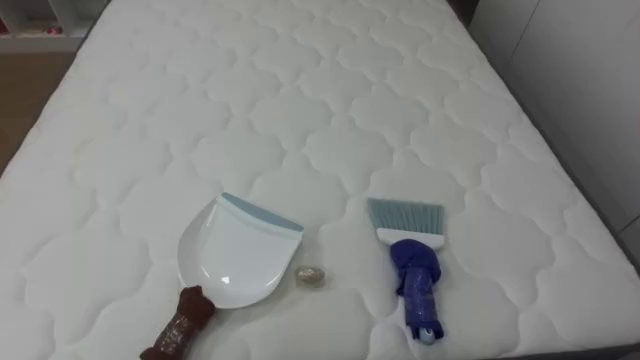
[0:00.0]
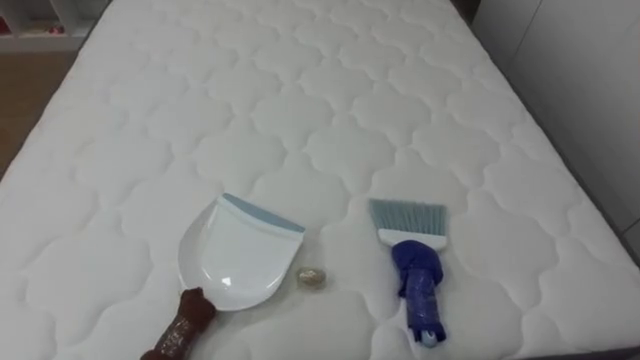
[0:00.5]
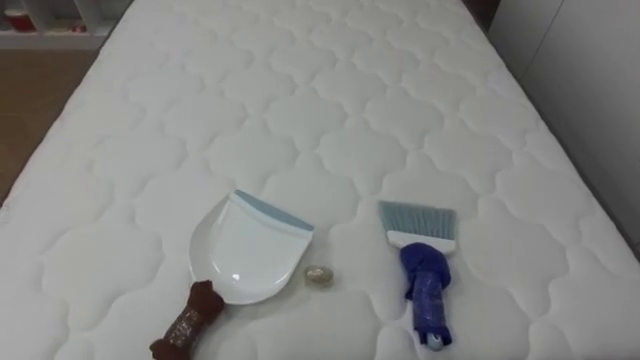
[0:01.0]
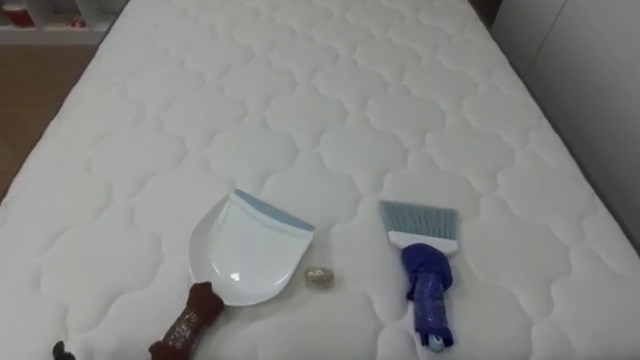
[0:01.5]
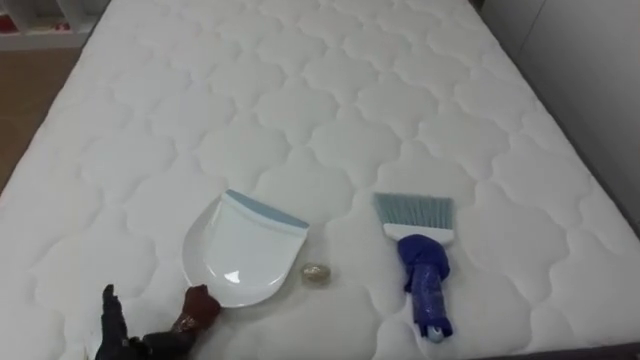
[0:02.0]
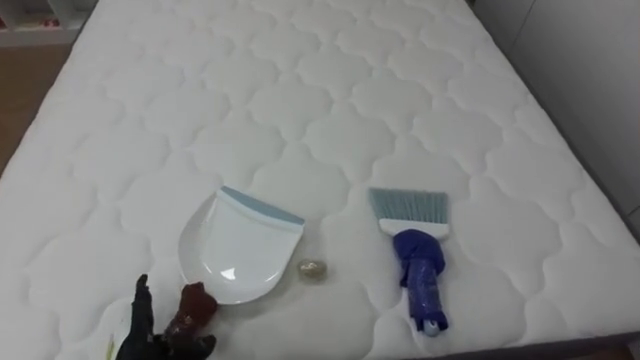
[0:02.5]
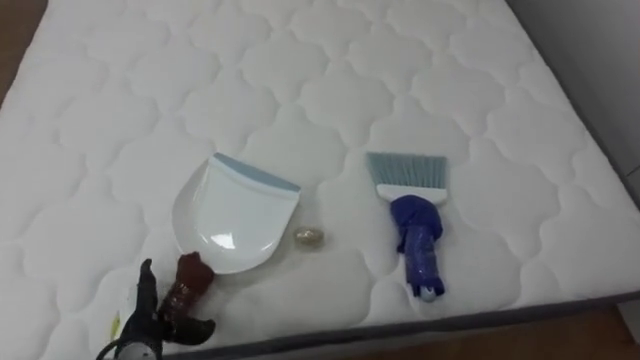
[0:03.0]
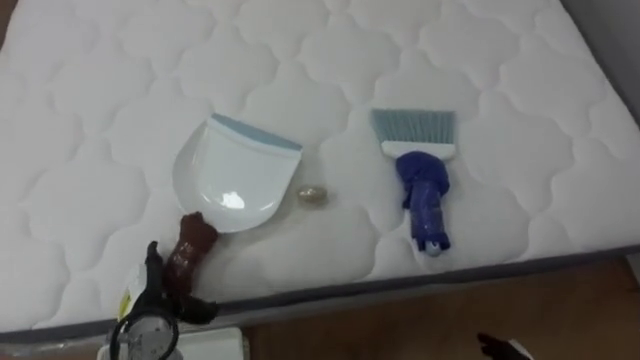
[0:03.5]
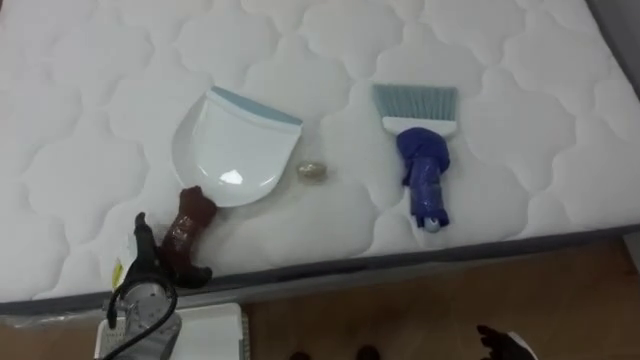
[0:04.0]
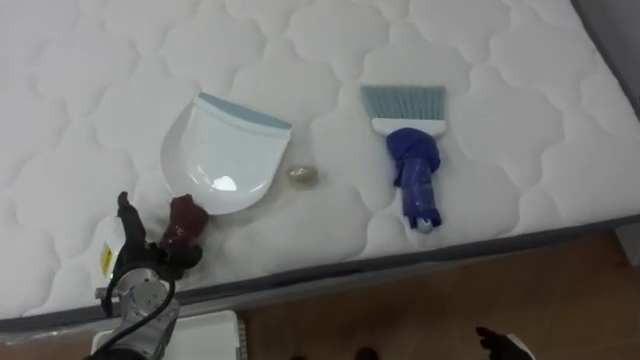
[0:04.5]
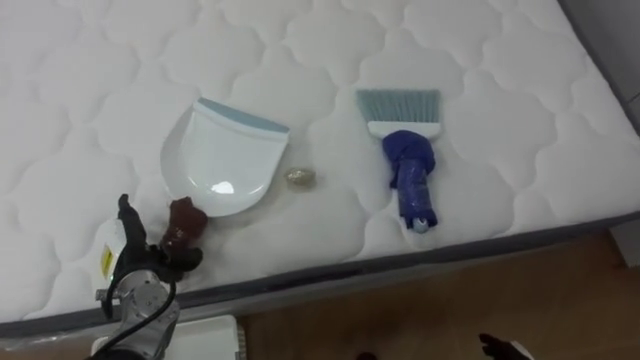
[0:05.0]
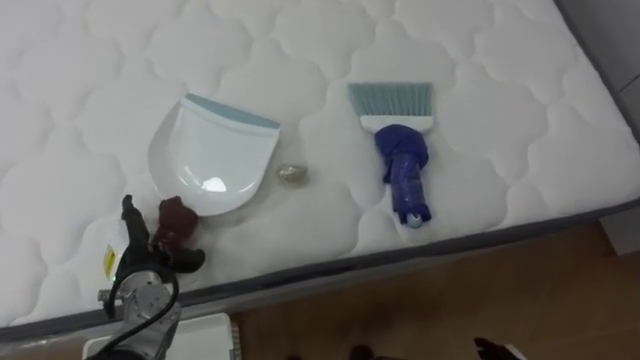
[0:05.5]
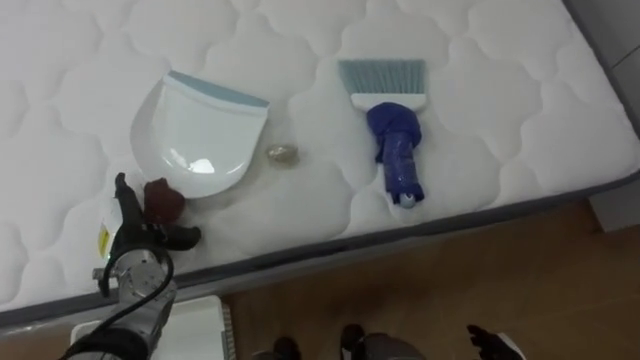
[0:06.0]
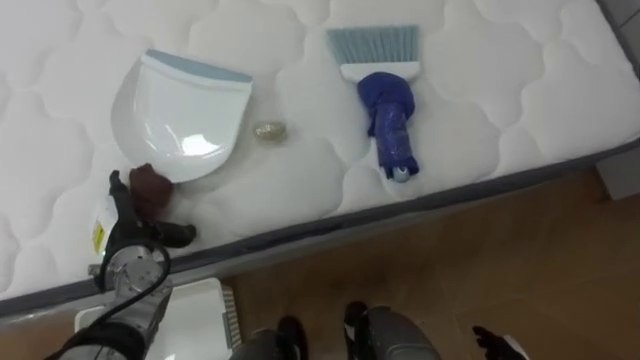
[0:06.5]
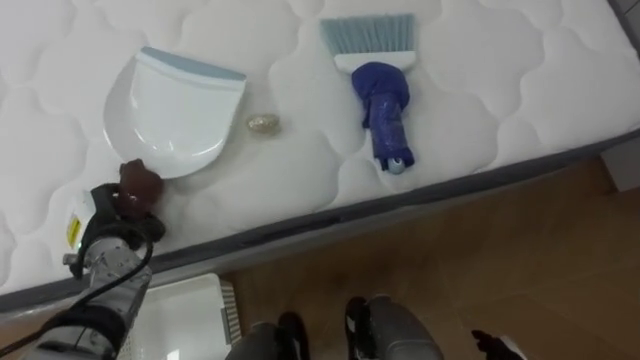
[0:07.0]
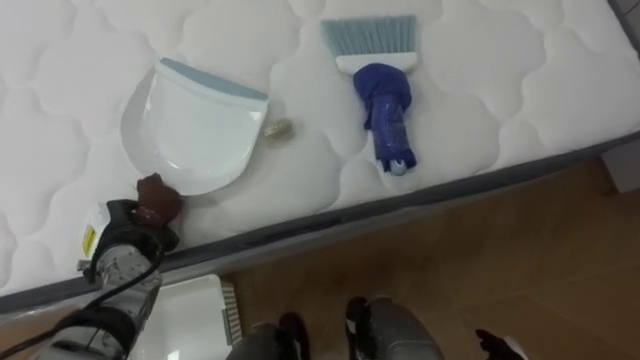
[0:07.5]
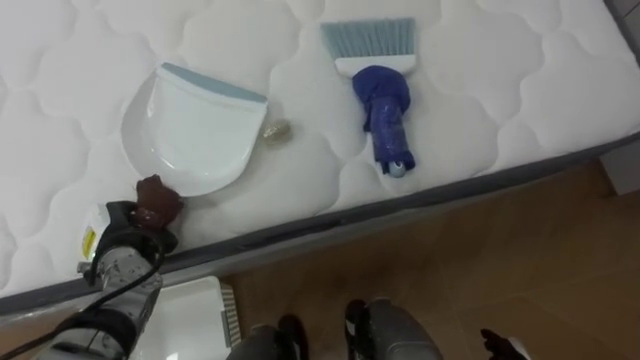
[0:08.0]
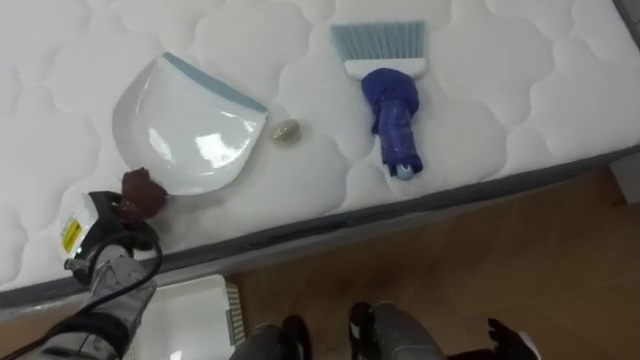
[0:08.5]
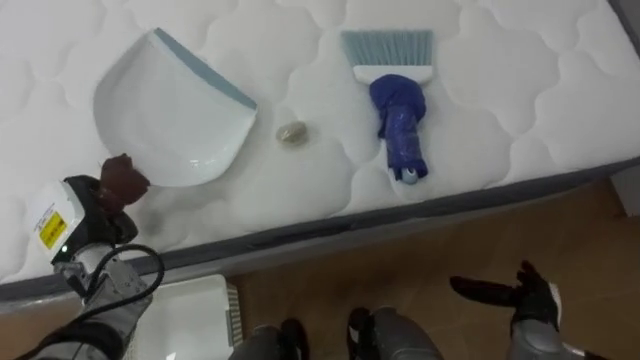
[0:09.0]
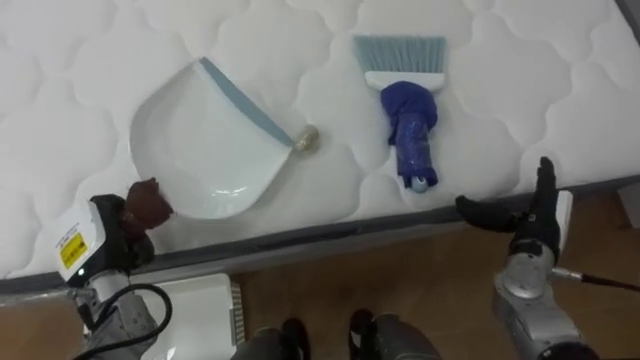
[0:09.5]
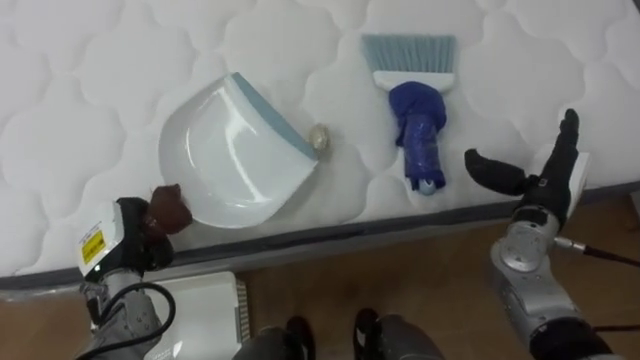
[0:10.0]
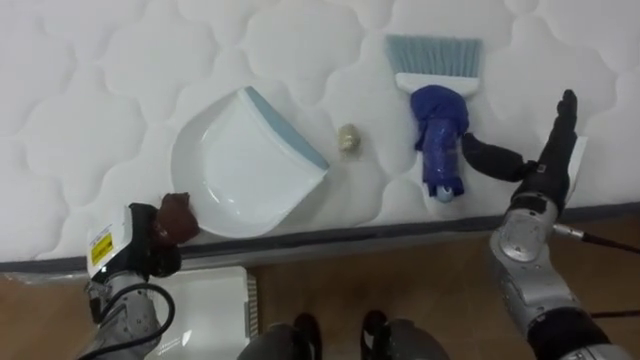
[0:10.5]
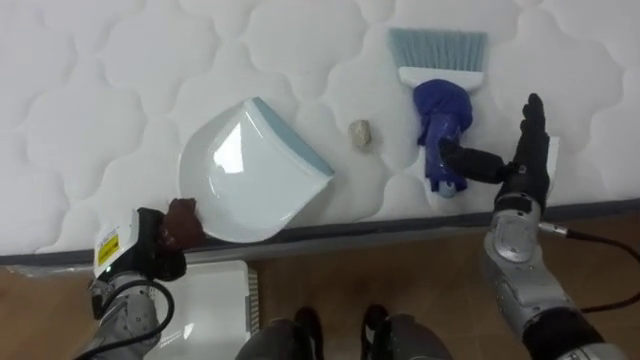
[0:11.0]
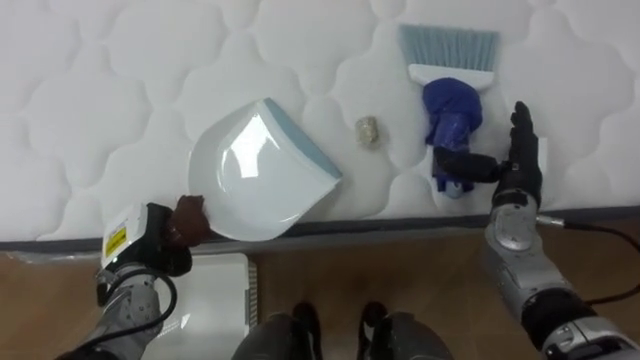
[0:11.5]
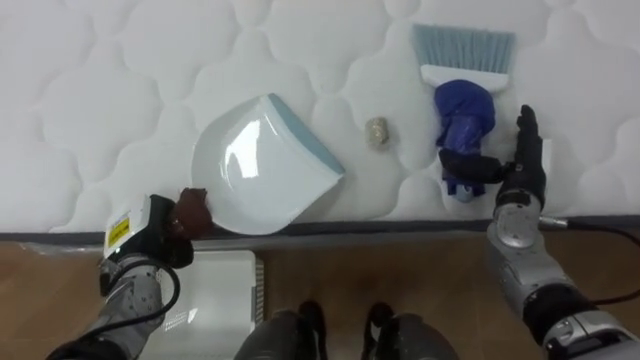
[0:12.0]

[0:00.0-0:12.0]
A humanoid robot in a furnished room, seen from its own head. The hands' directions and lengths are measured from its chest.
Task of the whole recording: Pick up the brush on your right and the dustpan on your left. Use the brush to sweep the crumpled paper on the bed into the dustpan, then turn left and empty it into the basket.
0:02.0 to 0:04.0: The left hand heads forward, covering about 10 cm.
0:04.0 to 0:06.0: The left hand moves roughly 5 cm.
0:06.0 to 0:08.0: The left hand closes up.

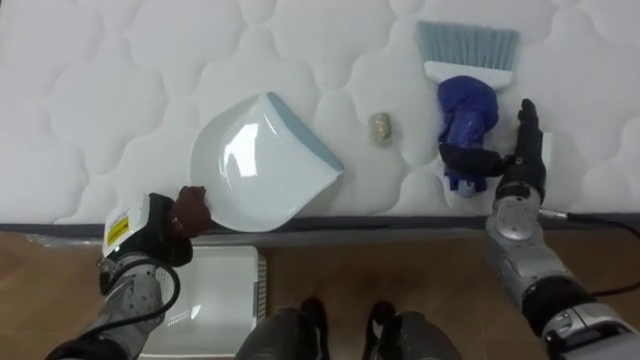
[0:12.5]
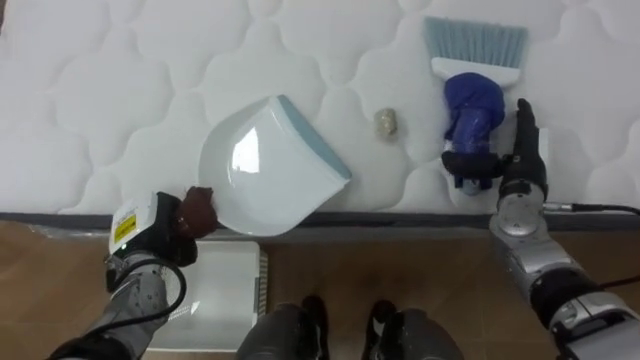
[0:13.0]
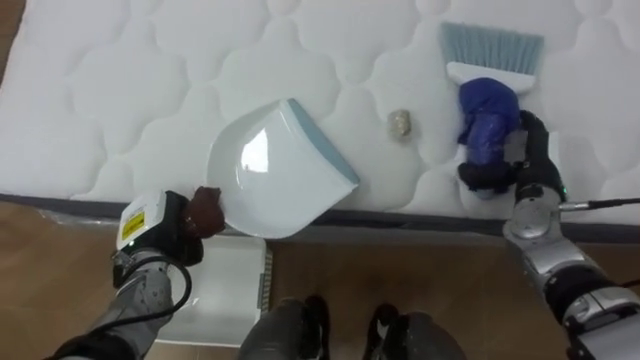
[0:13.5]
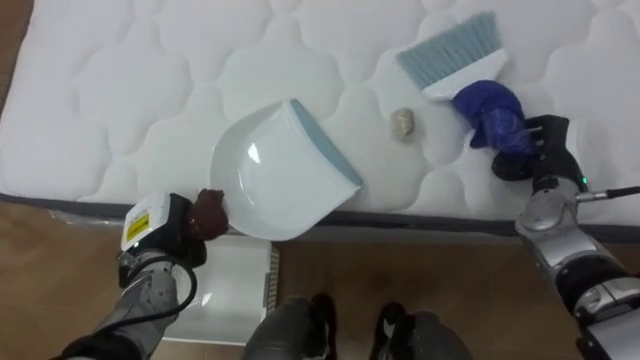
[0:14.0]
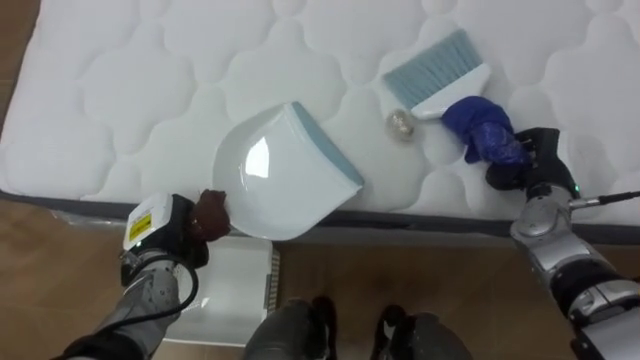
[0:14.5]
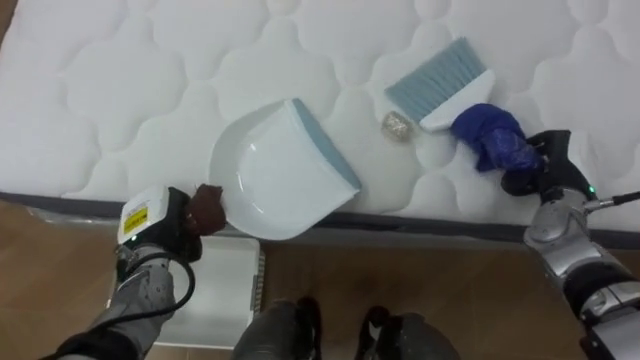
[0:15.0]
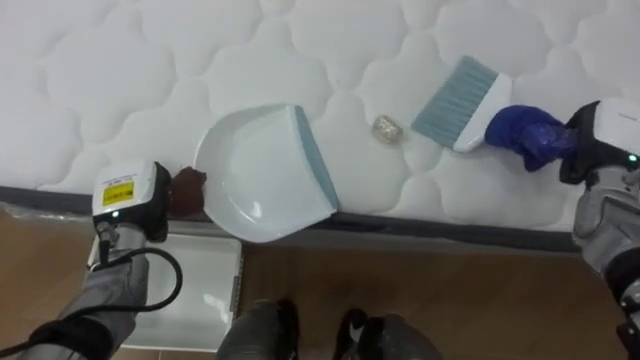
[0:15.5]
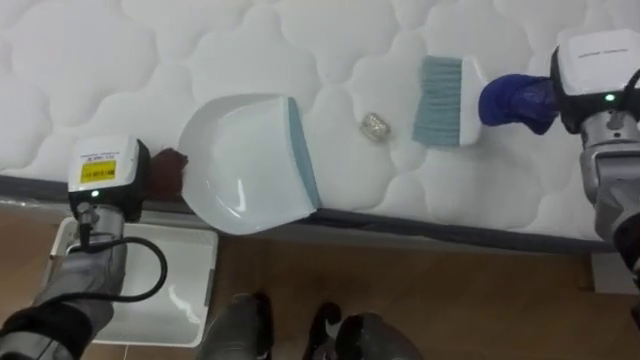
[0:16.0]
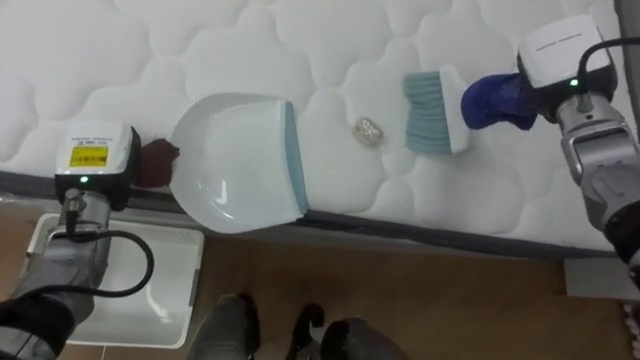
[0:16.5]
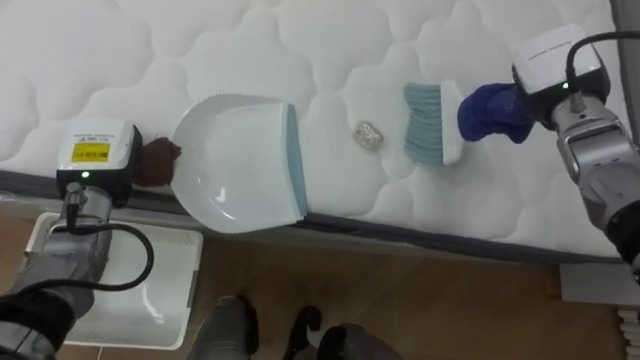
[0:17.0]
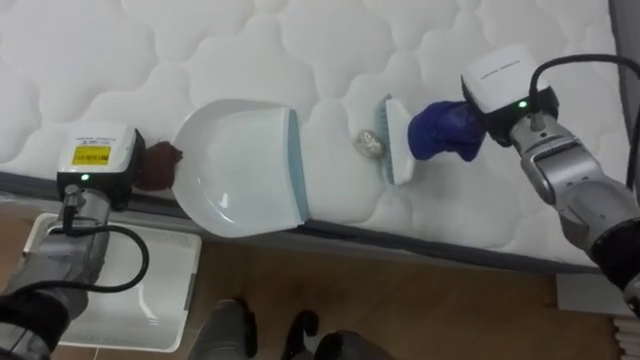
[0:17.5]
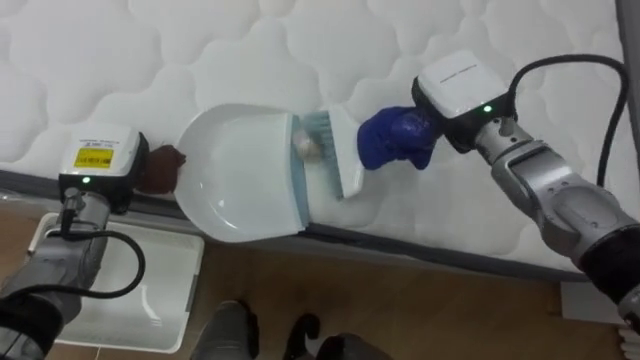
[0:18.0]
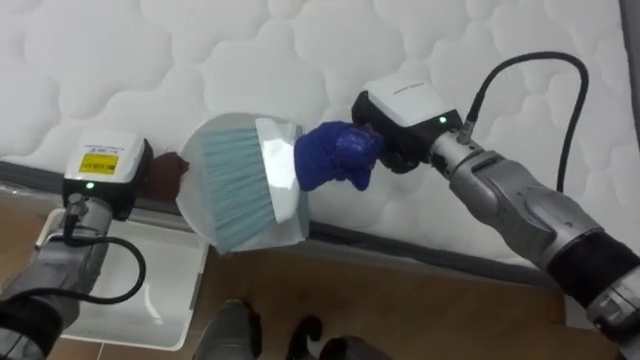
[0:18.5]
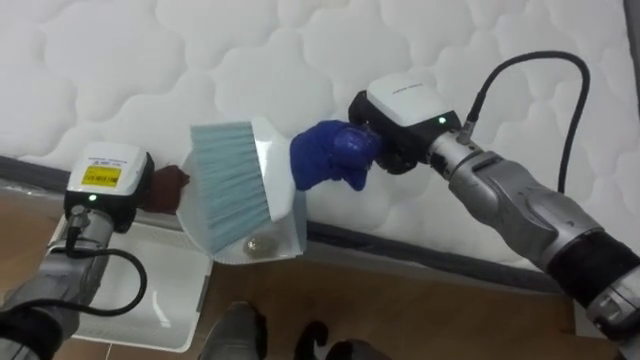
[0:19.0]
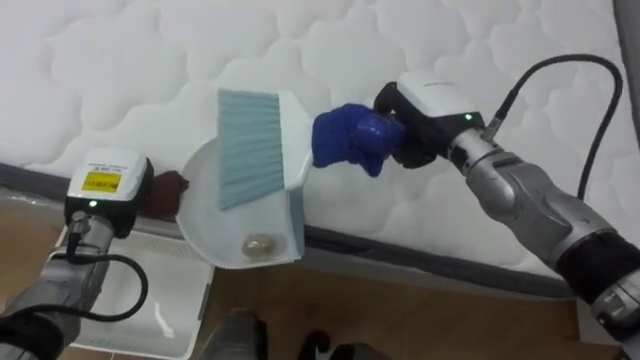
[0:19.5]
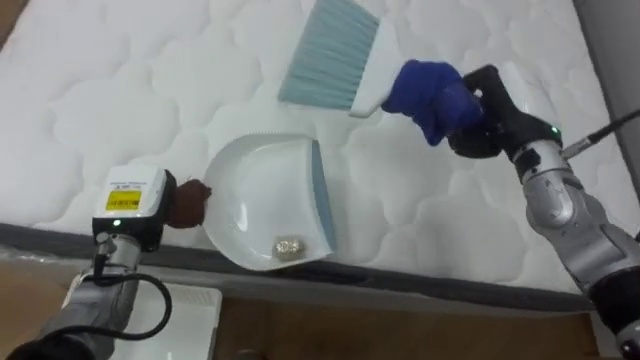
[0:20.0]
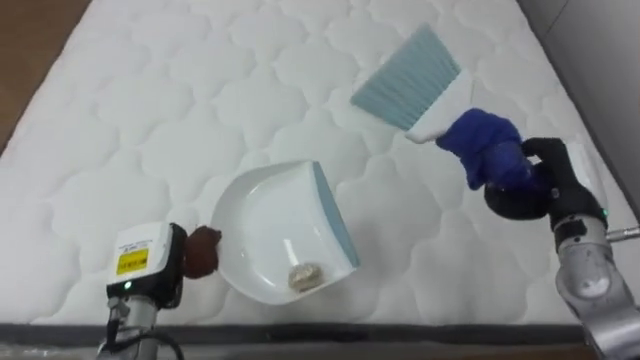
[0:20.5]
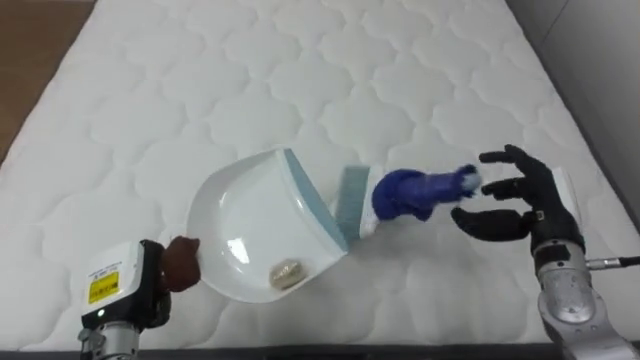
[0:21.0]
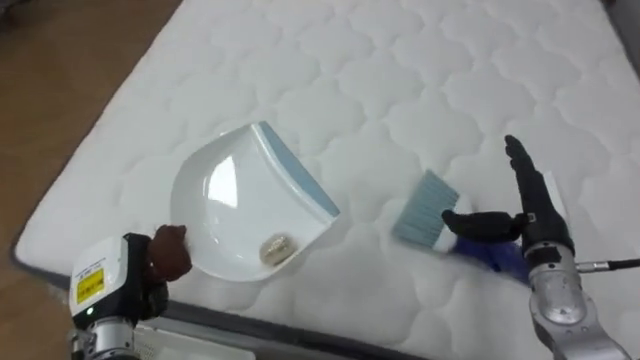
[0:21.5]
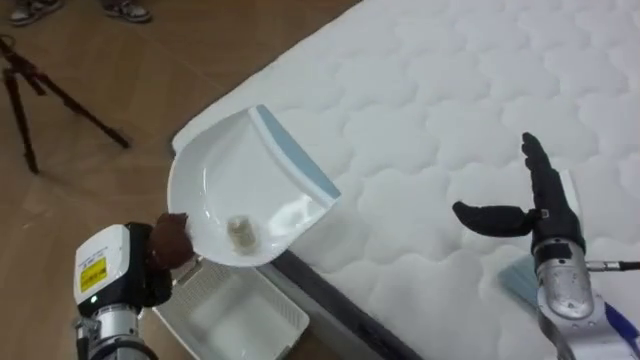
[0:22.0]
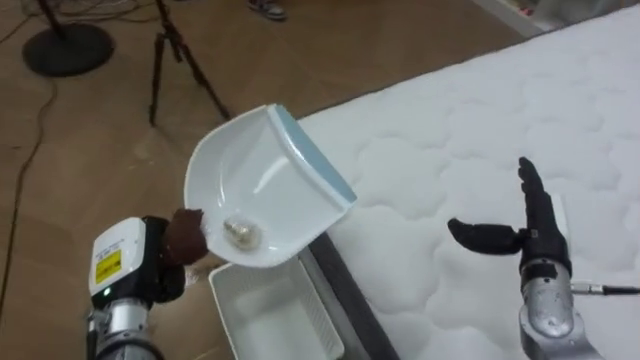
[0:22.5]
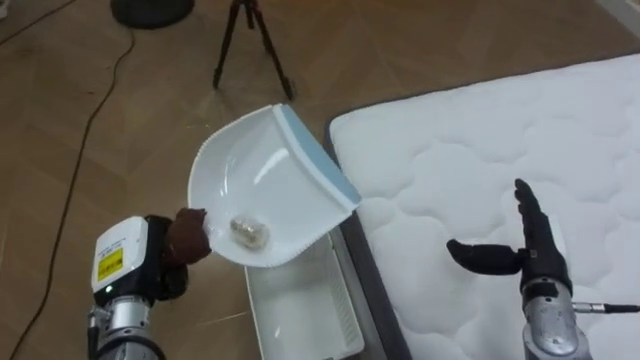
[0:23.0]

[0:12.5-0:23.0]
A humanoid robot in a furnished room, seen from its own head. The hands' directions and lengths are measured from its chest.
Task of the whole recording: Pick up the brush on your right and the dustpan on your left. Use the brush to sweep the crumpled paper on the bed into the dustpan, then turn left and empty it into the basket.
0:12.5 to 0:14.5: The right hand closes.
0:14.5 to 0:16.5: The left hand travels upward and to the left by roughly 10 cm; the right hand is displaced upward and forward by roughly 15 cm.
0:16.5 to 0:19.0: The right hand is displaced to the left by about 20 cm.
0:19.0 to 0:21.0: The left hand is displaced backward and downward by some 15 cm; the right hand travels to the right, downward and backward by some 20 cm, and opens up.
0:21.0 to 0:23.0: The robot rotates roughly 80 degrees to its left. The right hand moves about 5 cm.
